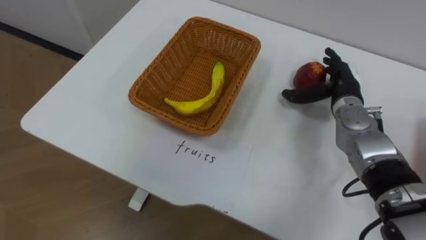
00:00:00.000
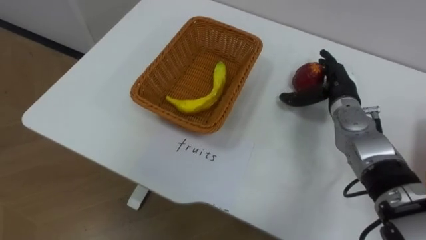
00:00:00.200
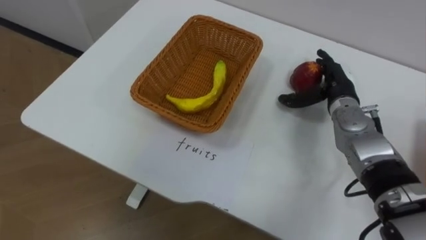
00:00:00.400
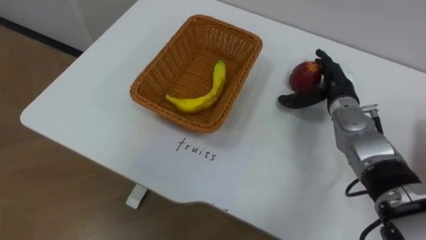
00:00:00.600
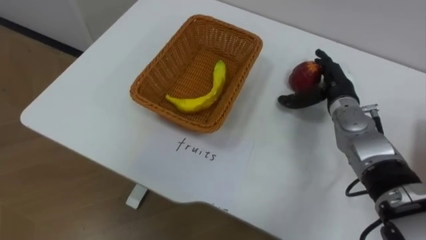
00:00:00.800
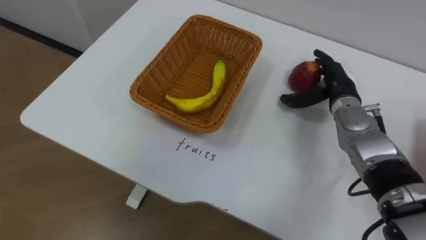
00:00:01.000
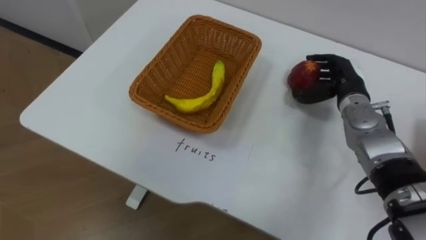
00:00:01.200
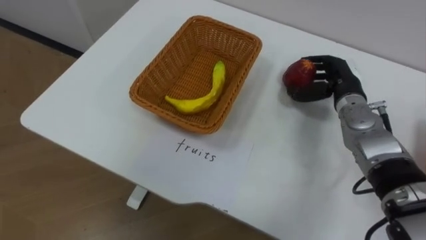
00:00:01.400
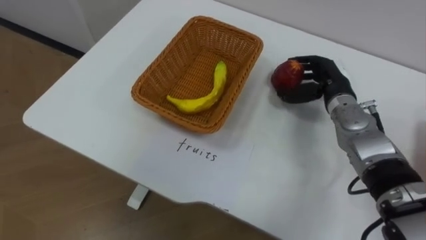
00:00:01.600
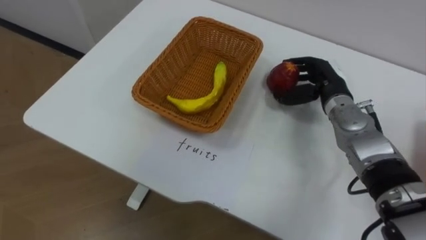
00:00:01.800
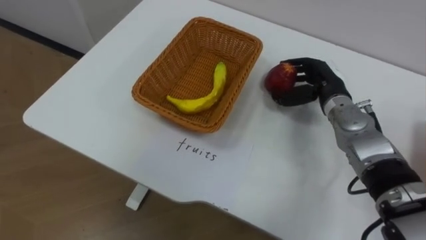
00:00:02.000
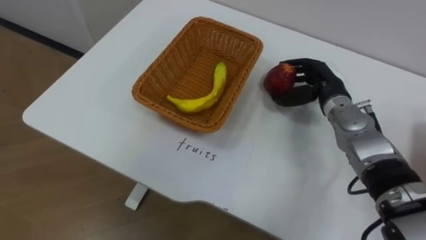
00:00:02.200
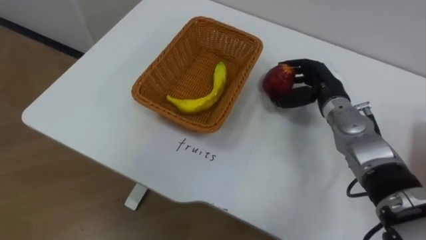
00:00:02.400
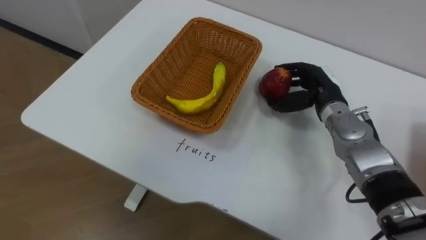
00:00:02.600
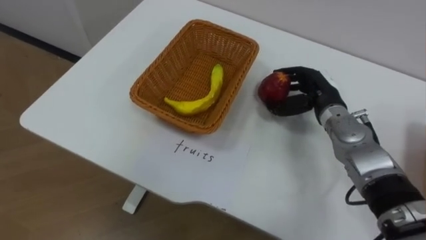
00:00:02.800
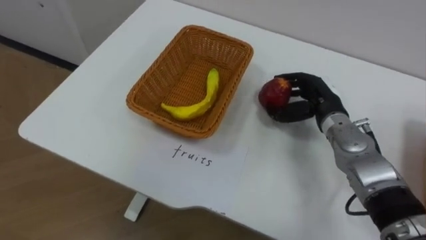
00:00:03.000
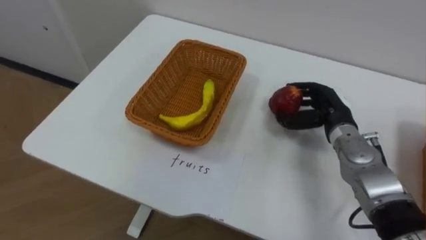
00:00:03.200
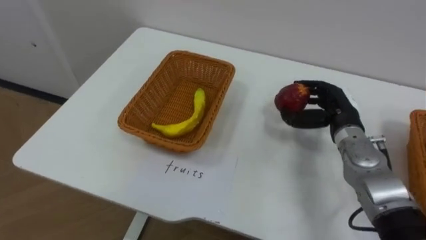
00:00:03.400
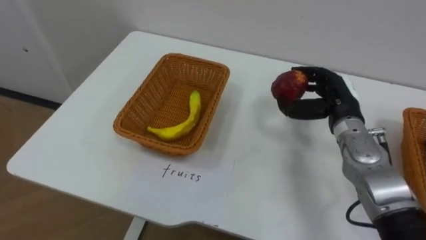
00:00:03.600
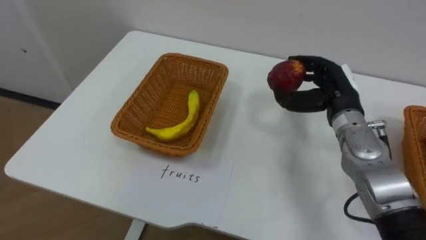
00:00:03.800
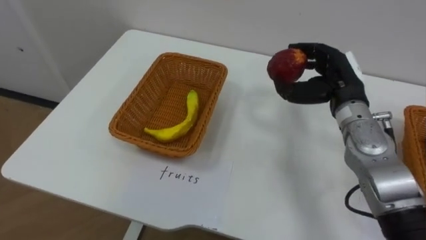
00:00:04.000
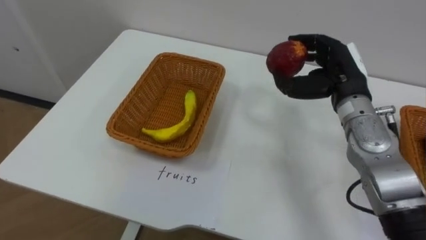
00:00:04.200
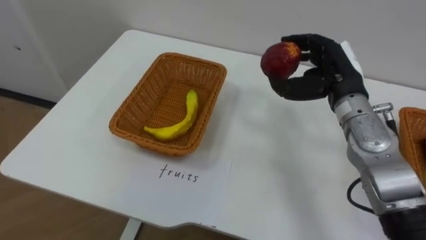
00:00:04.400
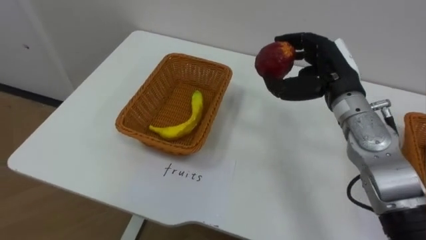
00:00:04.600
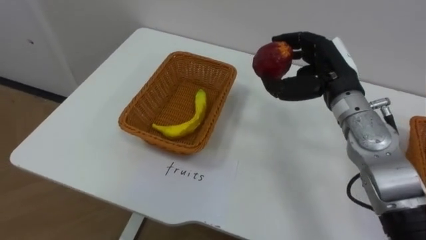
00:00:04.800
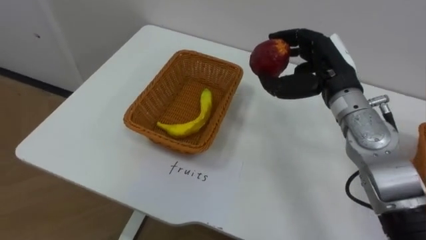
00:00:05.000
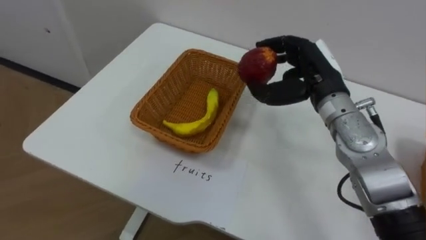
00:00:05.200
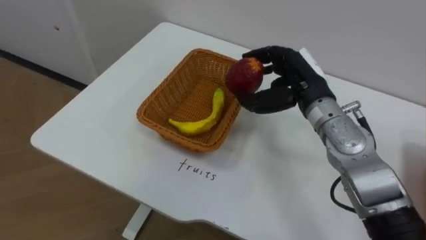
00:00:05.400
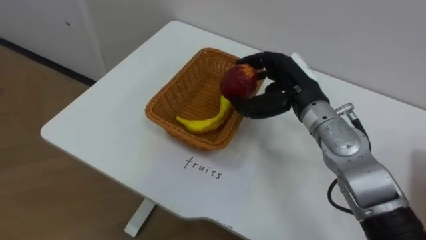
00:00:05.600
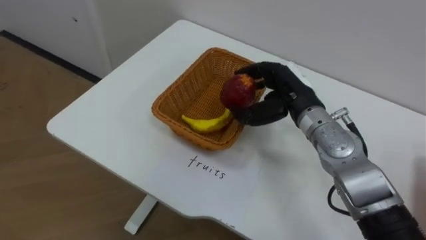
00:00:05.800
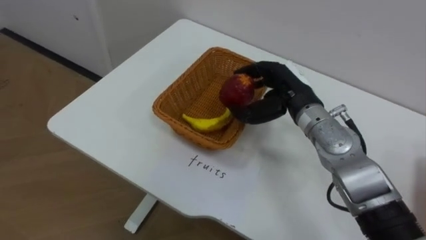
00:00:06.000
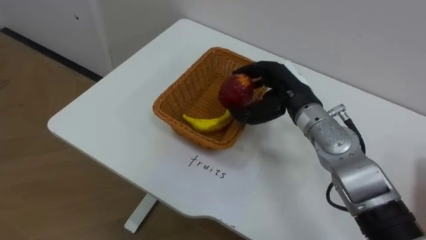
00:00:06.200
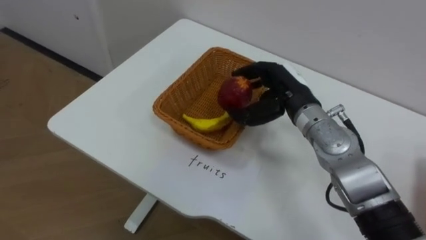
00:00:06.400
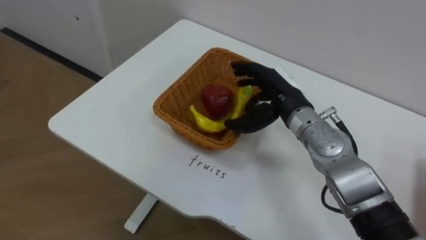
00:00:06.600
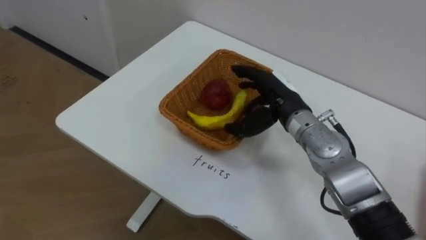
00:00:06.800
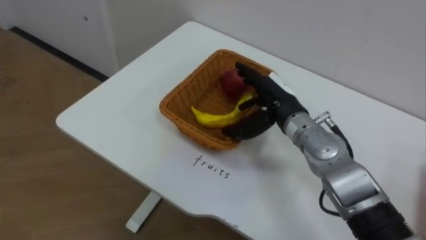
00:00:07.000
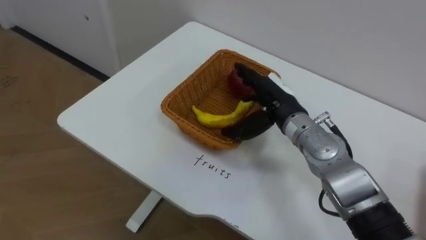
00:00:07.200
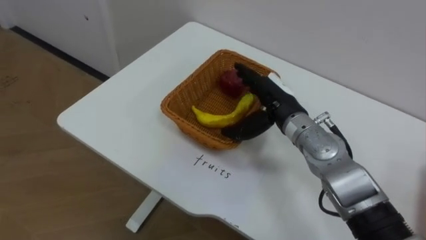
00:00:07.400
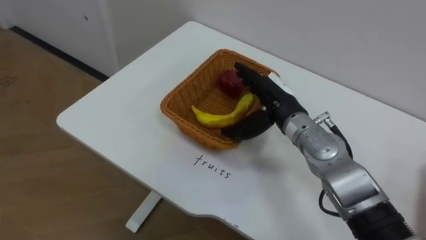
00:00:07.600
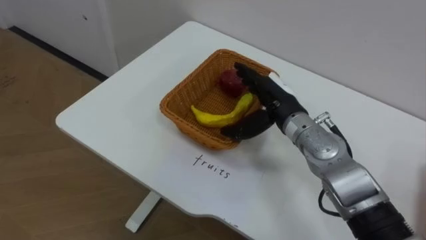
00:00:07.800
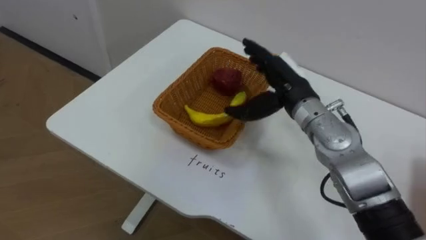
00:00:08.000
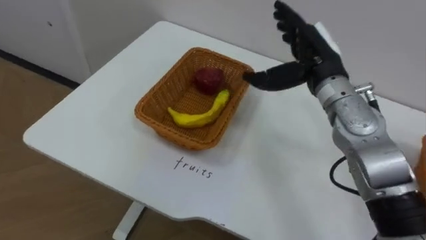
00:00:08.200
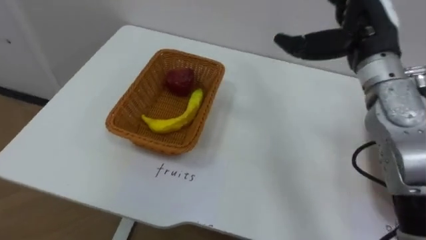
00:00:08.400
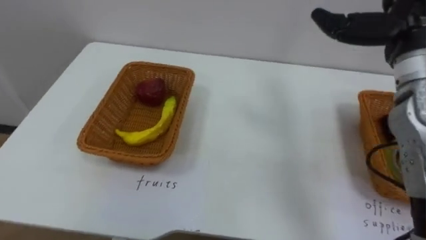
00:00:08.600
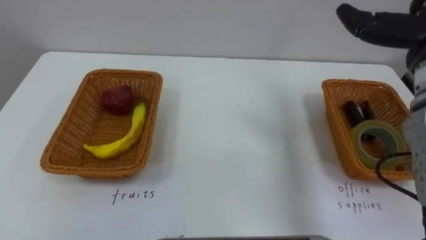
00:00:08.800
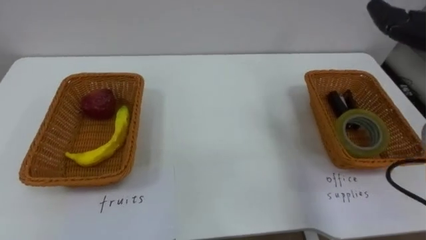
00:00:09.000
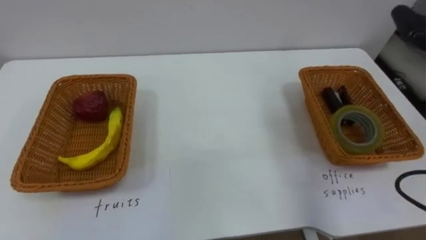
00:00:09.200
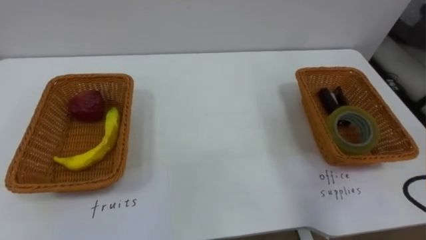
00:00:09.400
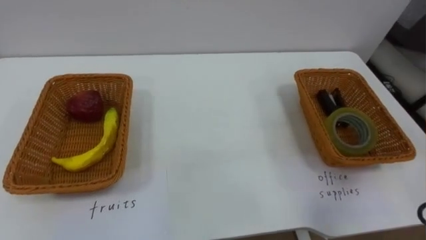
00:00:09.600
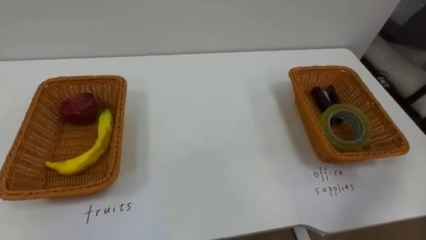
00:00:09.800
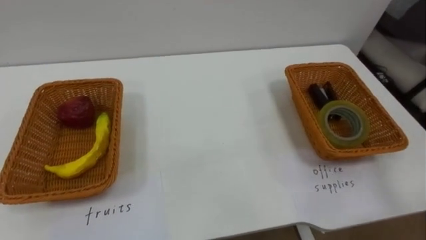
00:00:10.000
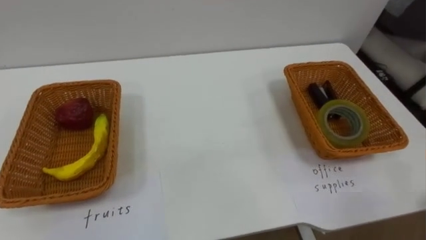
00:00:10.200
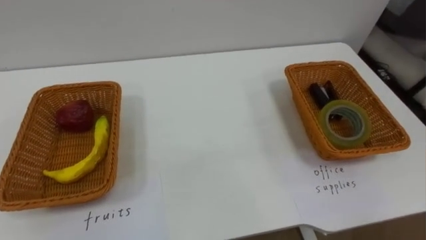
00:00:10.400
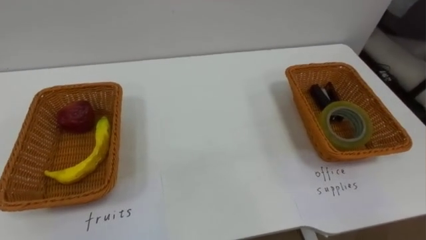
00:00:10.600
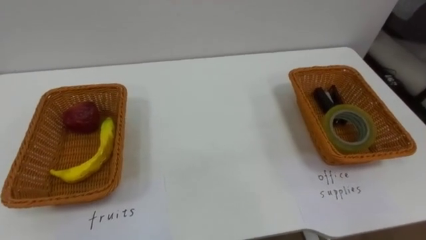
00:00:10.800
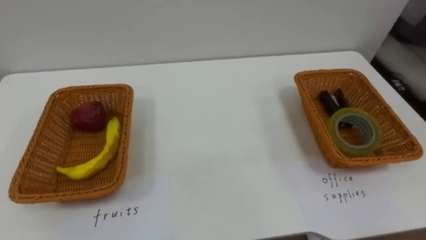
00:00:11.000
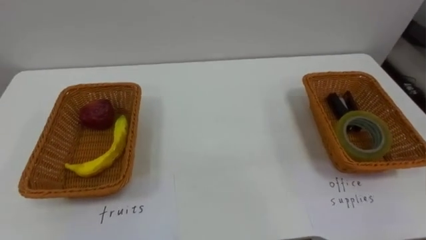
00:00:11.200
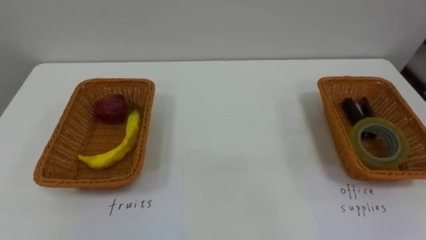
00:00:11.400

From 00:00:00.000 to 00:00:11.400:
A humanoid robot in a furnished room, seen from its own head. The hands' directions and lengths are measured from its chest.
Task of the whole recording: Separate the items on the table and place them into the two baskets.
From 00:00:00.000 to 00:00:01.400: The right hand closes.
From 00:00:02.800 to 00:00:04.200: The right hand travels upward by approximately 5 cm.
From 00:00:04.200 to 00:00:05.600: The right hand goes some 10 cm to the left.
From 00:00:05.600 to 00:00:07.200: The right hand opens.
From 00:00:07.200 to 00:00:08.600: The right hand shifts some 20 cm upward and to the right.

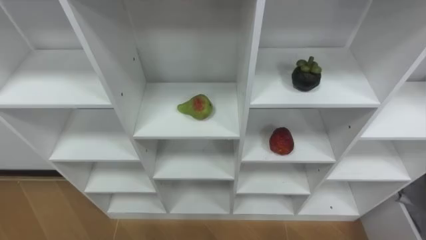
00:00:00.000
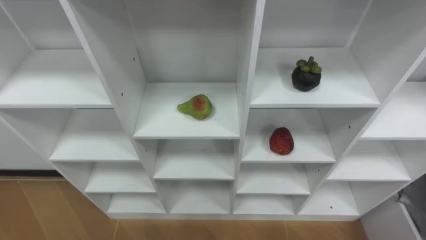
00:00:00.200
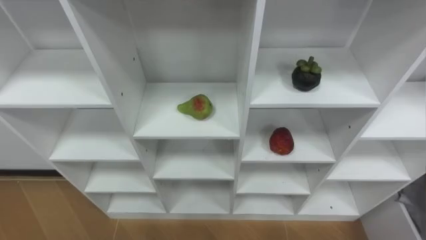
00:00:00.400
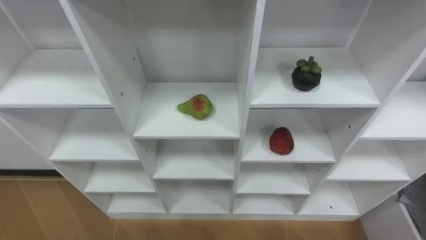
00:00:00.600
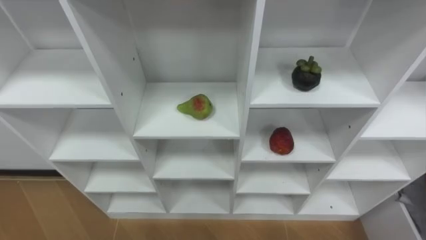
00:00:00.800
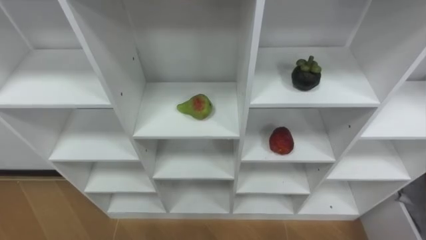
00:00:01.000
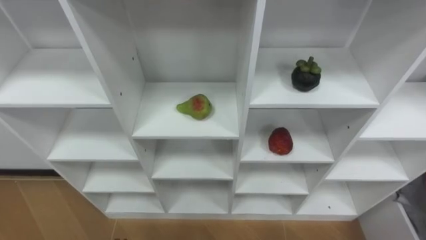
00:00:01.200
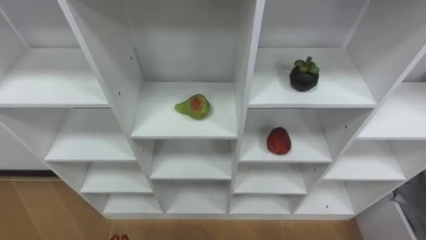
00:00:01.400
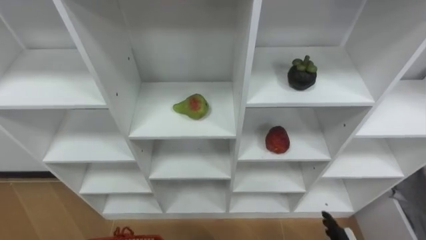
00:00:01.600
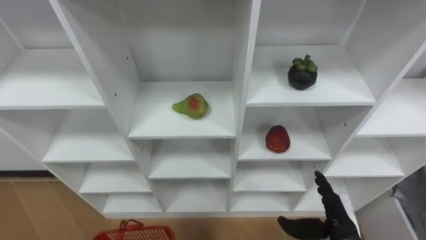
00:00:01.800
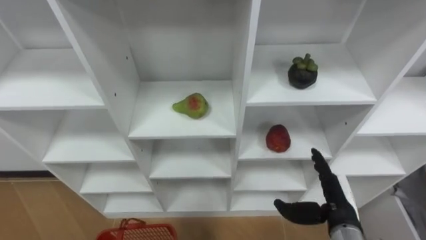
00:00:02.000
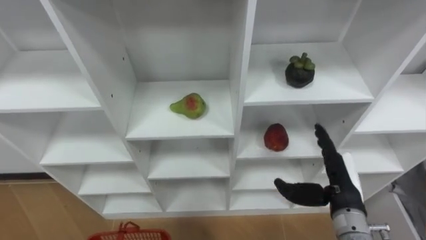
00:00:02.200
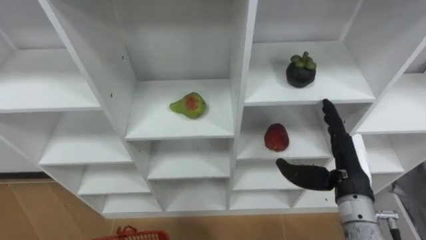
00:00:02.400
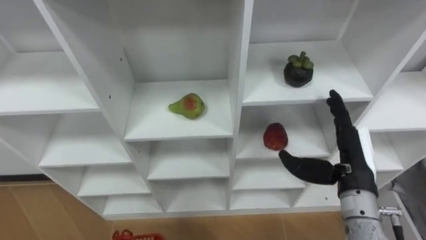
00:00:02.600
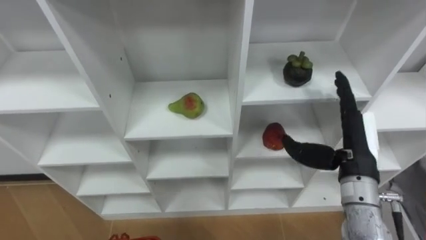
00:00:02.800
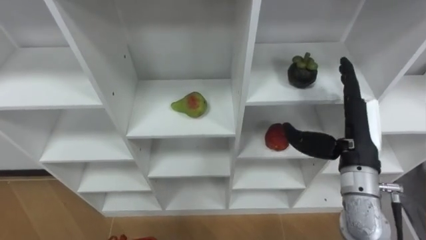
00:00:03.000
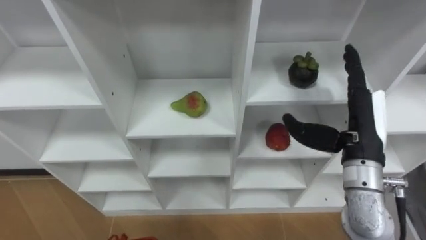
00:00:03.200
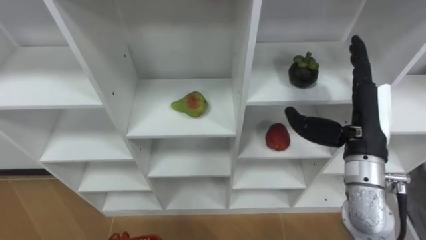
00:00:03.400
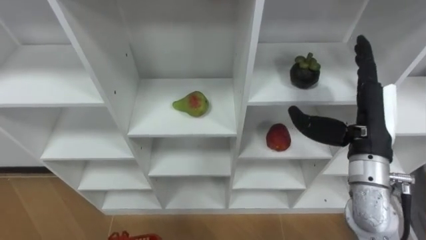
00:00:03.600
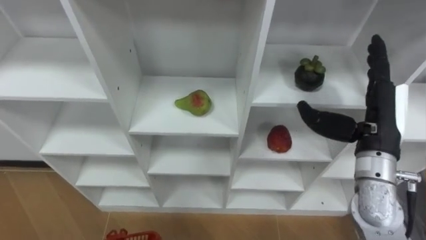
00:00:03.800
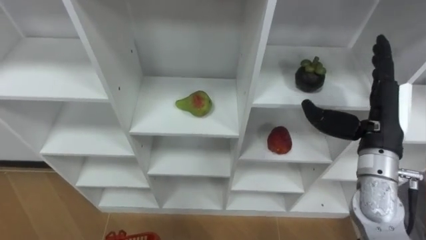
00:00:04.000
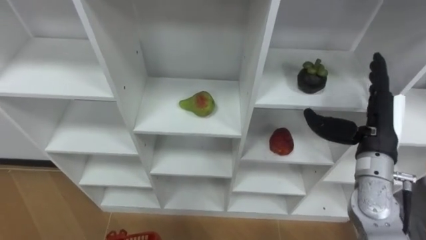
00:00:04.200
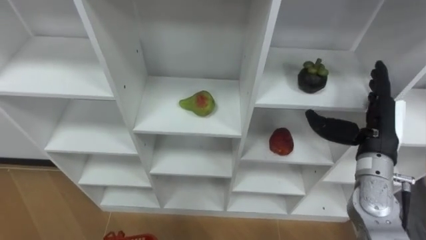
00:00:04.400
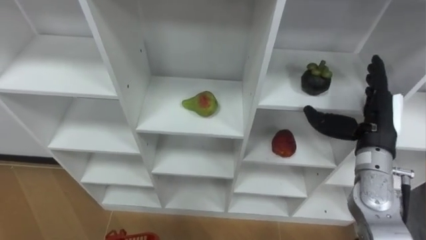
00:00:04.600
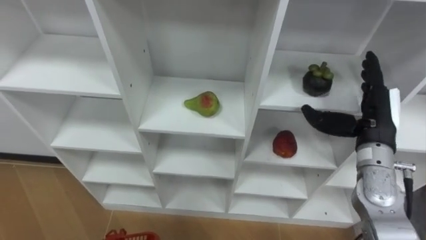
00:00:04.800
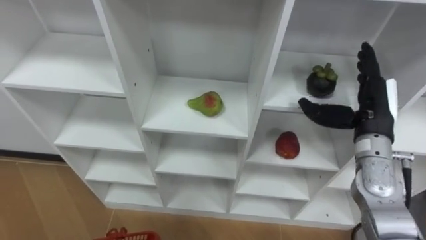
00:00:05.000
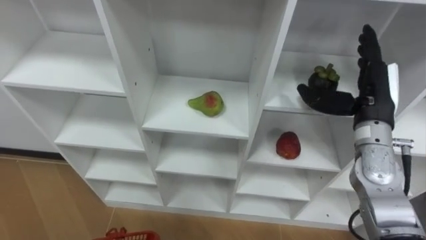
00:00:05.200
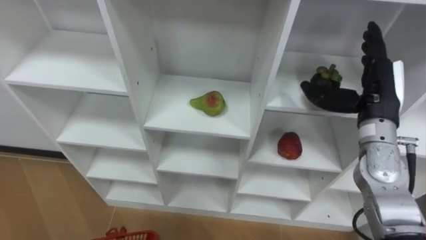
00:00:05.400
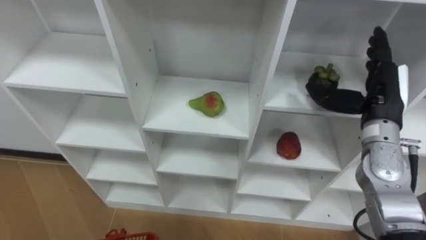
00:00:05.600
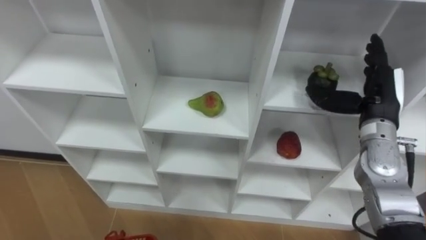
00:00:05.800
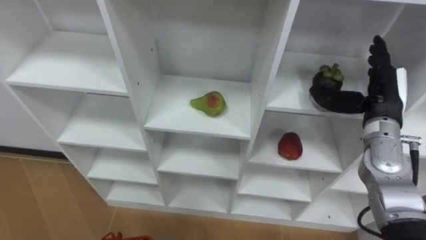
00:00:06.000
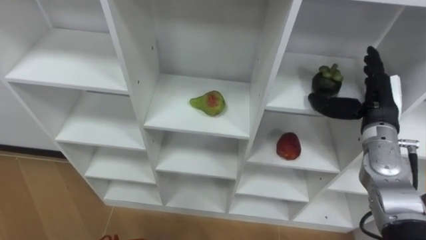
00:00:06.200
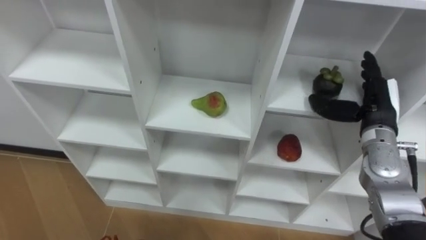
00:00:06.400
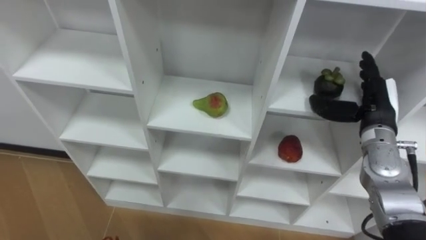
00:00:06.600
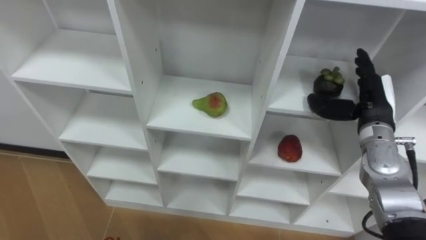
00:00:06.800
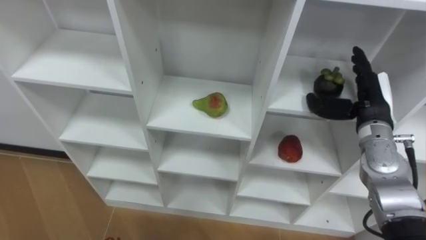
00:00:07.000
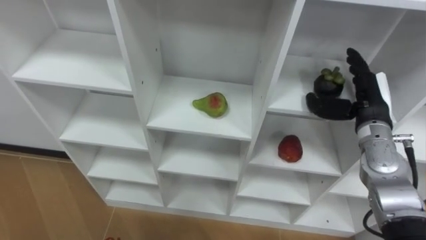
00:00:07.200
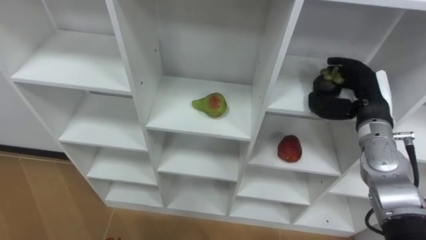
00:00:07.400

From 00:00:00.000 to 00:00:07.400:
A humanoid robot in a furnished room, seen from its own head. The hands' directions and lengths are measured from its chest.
Task of the whole recording: Hold the basket and collect the fruits from 3 different cells of the closet into it.
From 00:00:03.000 to 00:00:04.400: The right hand ends up about 5 cm from where it was.
From 00:00:04.400 to 00:00:06.000: The right hand heads forward, covering approximately 5 cm.
